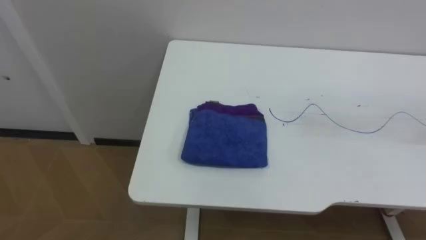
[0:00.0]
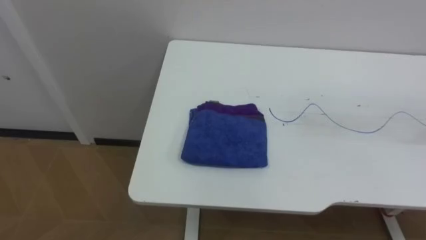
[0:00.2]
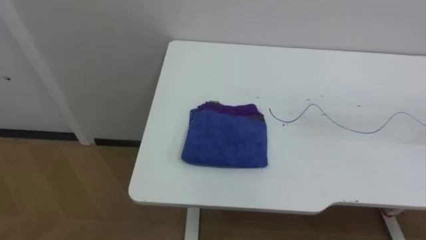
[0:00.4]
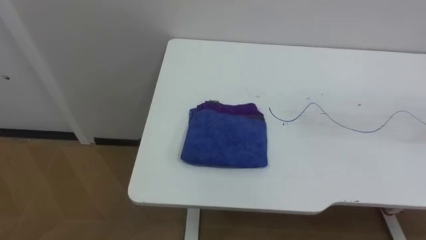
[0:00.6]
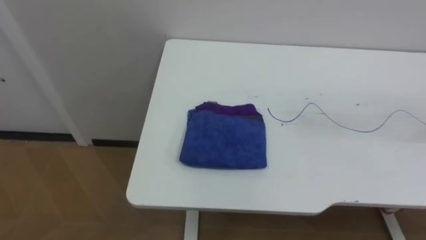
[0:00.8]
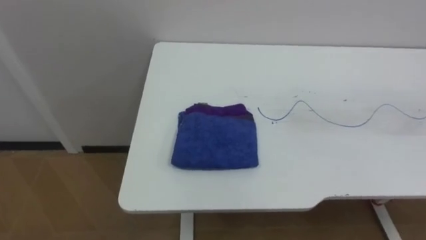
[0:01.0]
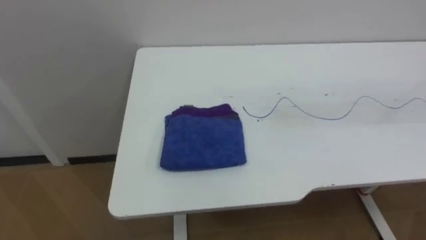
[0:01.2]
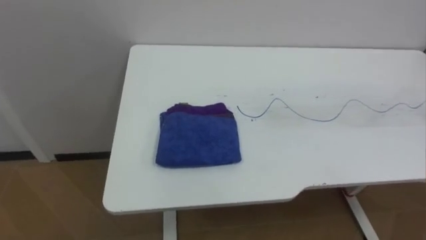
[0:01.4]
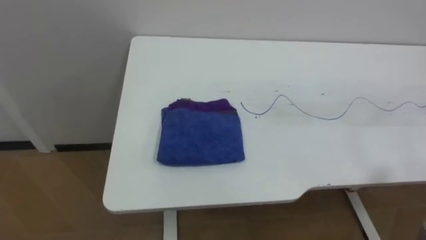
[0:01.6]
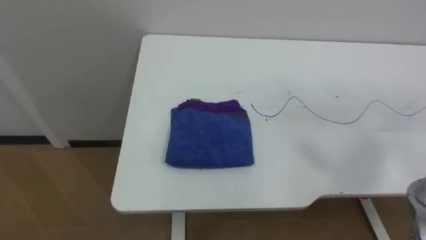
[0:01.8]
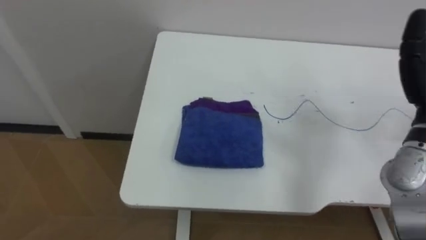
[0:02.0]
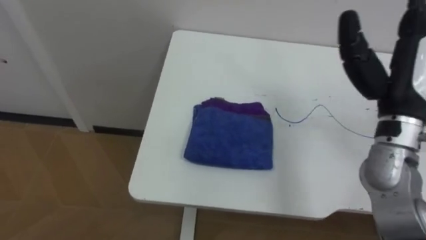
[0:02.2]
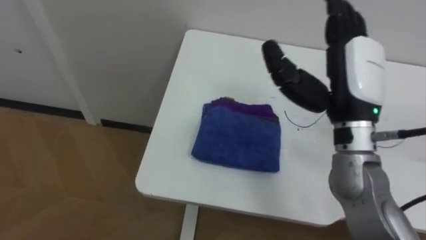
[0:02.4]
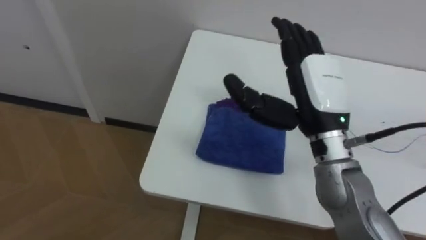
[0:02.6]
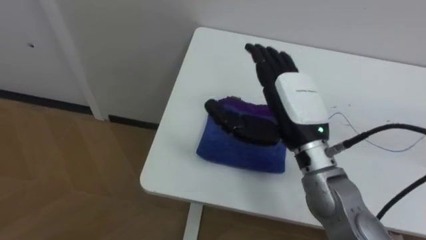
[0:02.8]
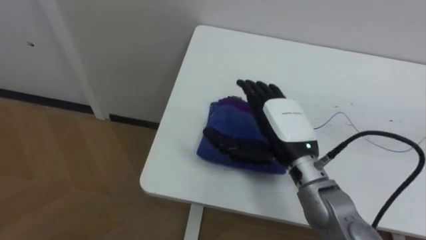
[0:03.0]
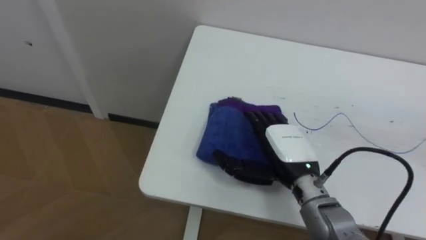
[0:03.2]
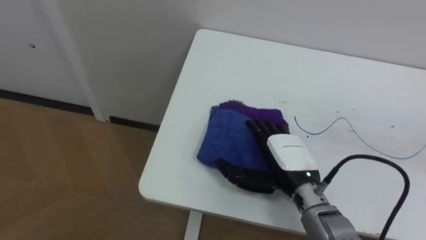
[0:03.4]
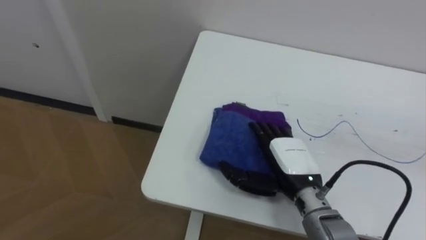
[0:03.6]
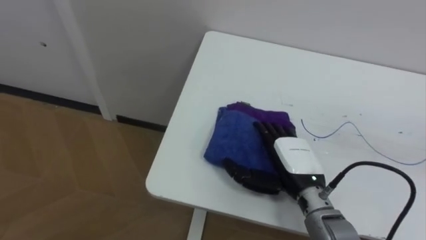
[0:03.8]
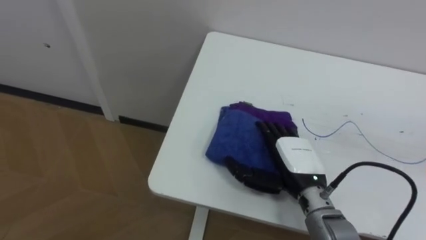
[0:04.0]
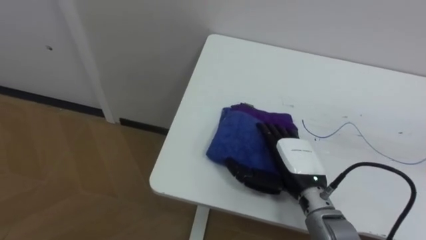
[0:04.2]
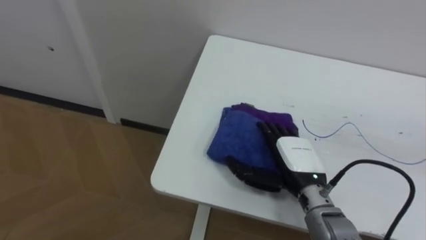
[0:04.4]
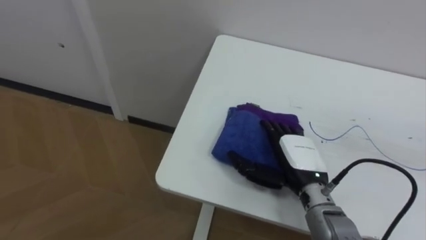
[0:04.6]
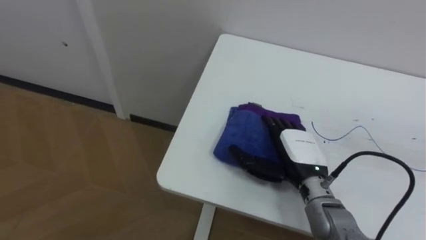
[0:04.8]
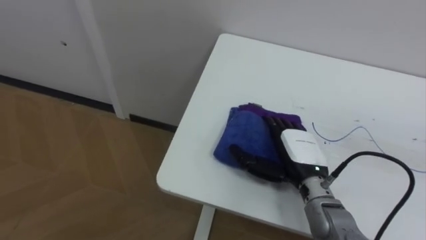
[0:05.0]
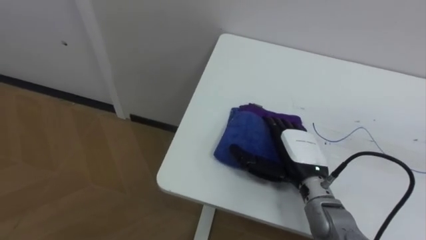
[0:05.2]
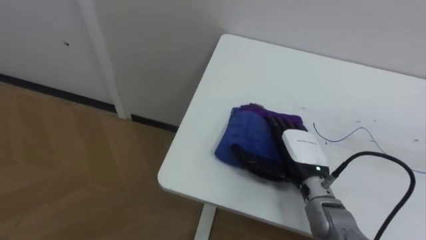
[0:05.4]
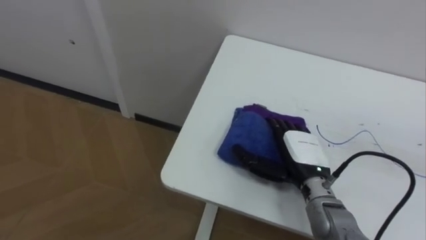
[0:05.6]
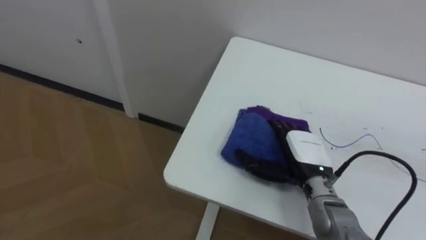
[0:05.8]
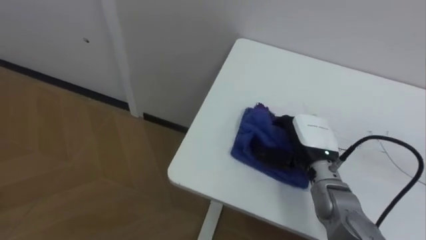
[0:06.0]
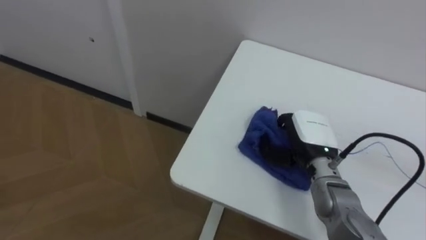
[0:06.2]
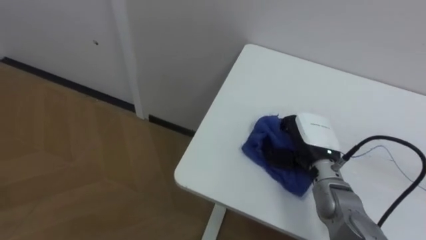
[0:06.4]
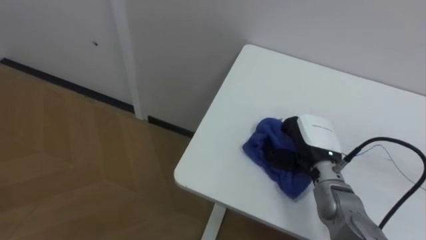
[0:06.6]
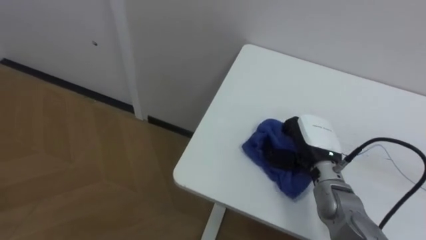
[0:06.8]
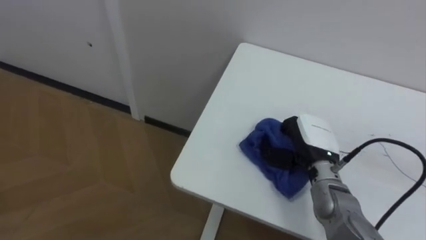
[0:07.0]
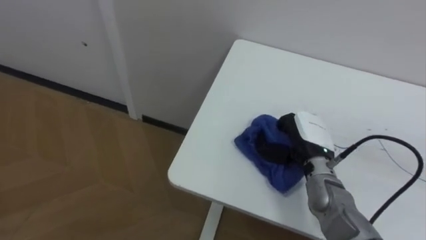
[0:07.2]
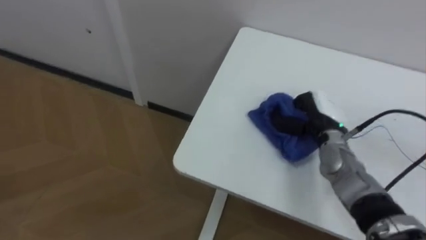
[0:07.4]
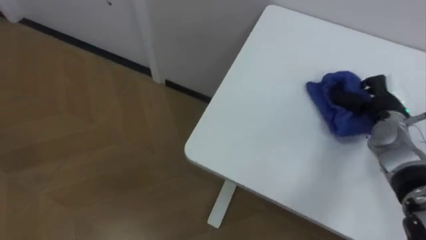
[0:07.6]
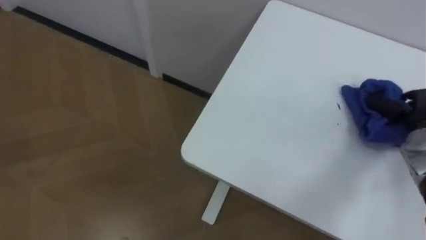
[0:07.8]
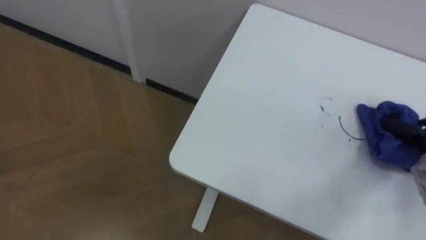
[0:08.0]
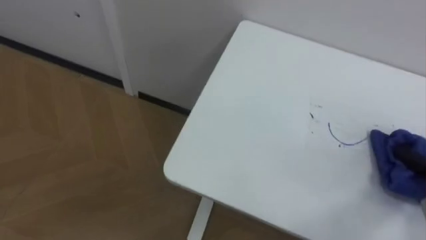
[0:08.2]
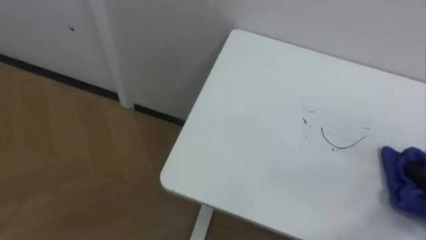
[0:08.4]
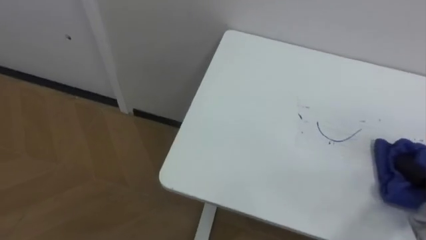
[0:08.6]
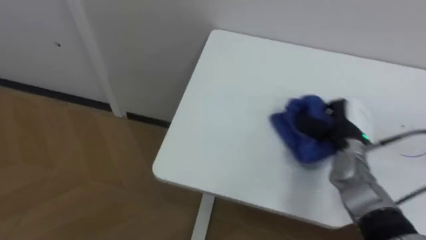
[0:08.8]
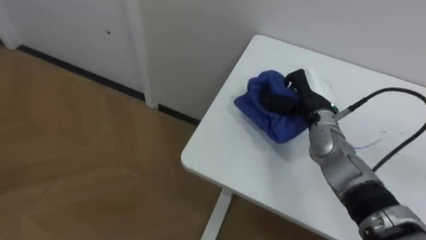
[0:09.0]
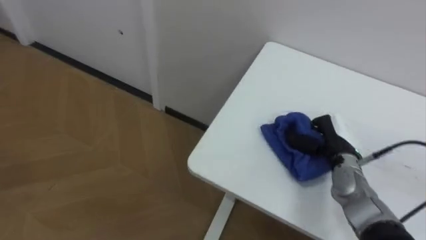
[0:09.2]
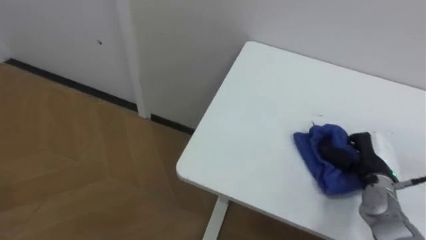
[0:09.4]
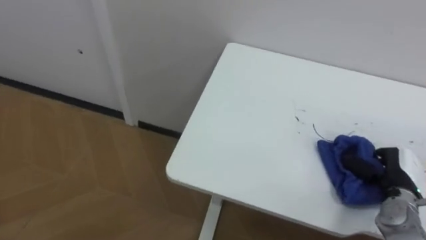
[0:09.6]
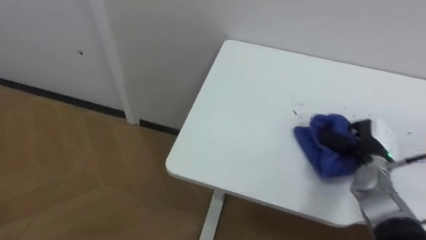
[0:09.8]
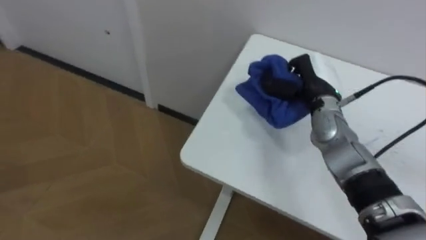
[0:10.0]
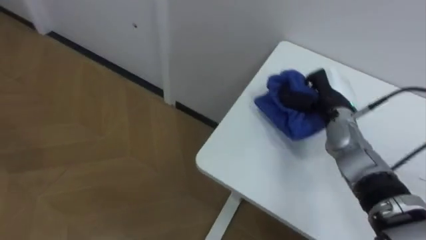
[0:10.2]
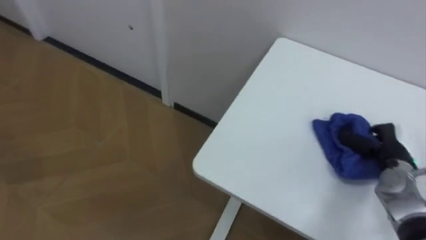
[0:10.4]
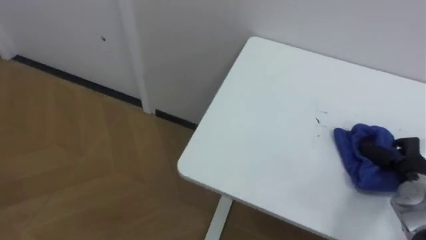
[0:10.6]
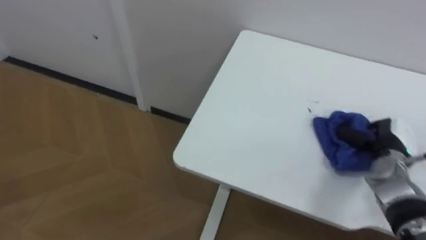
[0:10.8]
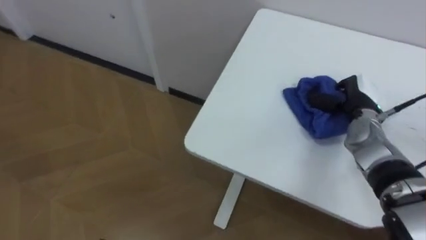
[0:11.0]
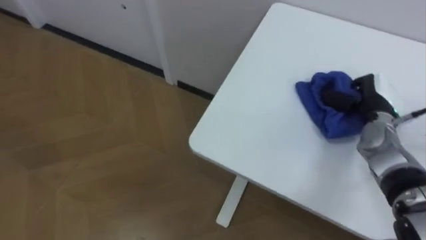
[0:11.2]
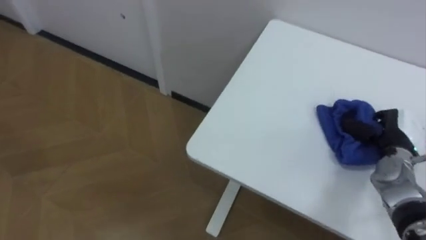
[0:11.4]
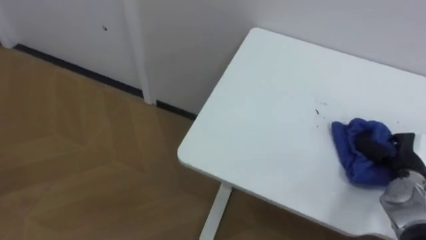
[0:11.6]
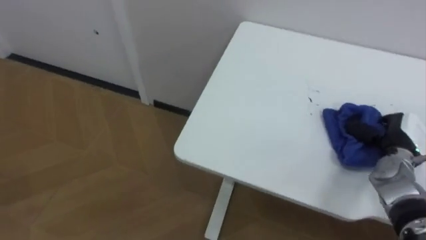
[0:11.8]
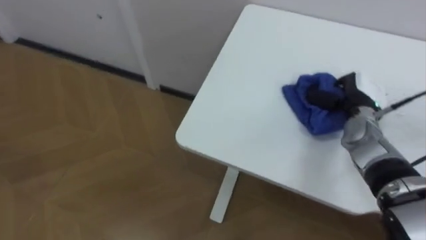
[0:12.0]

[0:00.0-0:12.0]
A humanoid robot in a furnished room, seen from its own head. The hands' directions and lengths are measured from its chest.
Task of the whole recording: Wipe the blue pen marks off the table with the rag.
0:03.0 to 0:04.4: The right hand travels downward by approximately 10 cm.
0:04.4 to 0:06.0: The right hand closes up.
0:06.0 to 0:07.6: The right hand is displaced to the right and forward by about 15 cm, and closes up.
0:09.0 to 0:10.4: The right hand moves left and right over approximately 15 cm, changing direction 2 times.
0:10.4 to 0:12.0: The right hand goes forward and backward, approximately 10 cm each way, reversing 2 times.

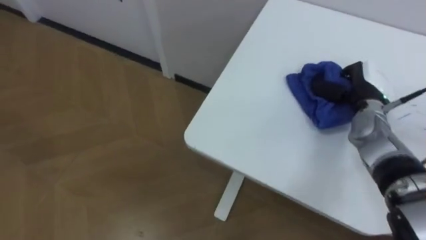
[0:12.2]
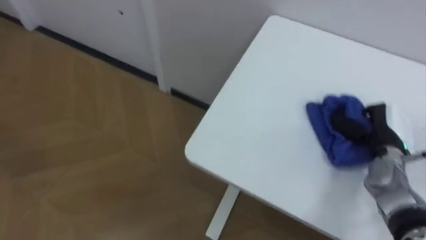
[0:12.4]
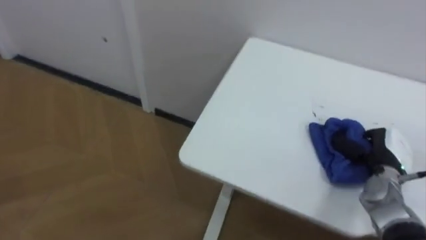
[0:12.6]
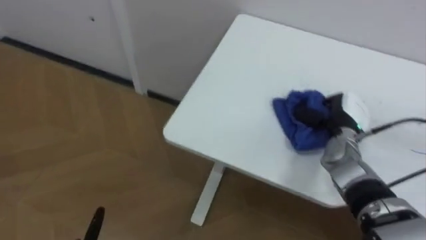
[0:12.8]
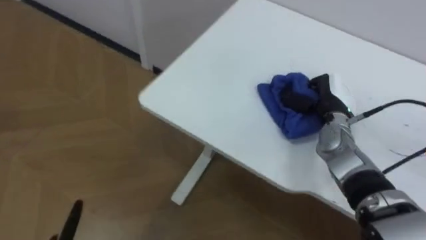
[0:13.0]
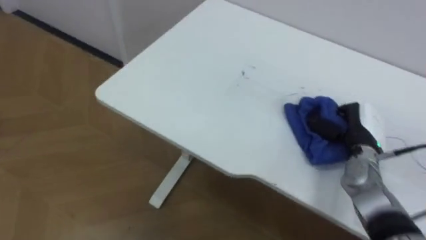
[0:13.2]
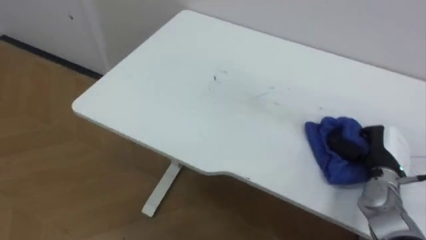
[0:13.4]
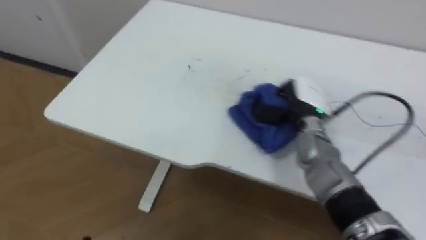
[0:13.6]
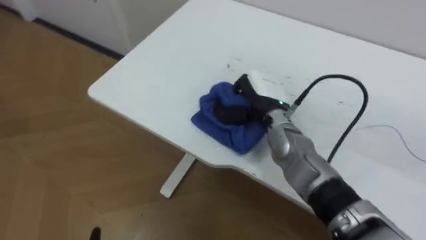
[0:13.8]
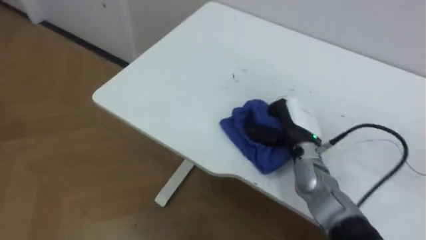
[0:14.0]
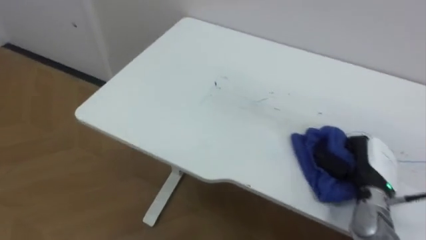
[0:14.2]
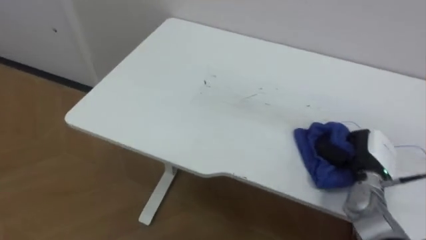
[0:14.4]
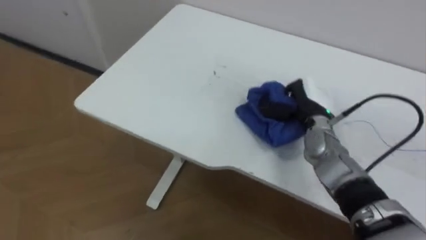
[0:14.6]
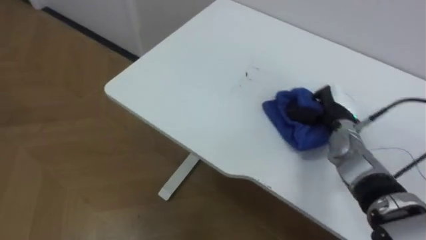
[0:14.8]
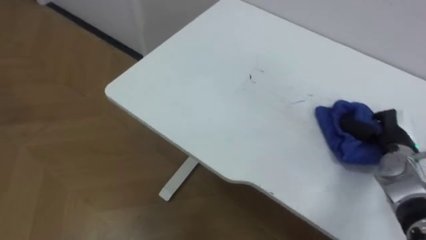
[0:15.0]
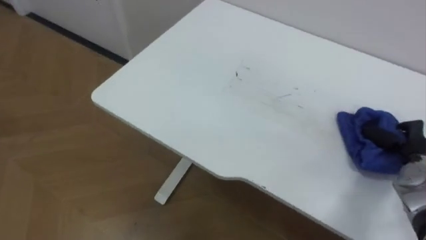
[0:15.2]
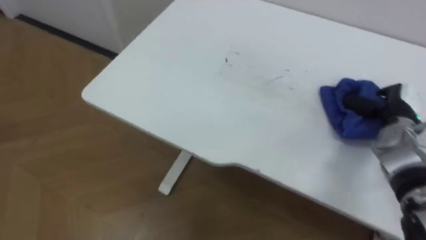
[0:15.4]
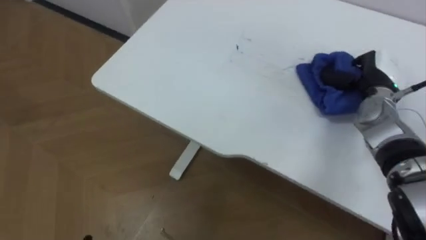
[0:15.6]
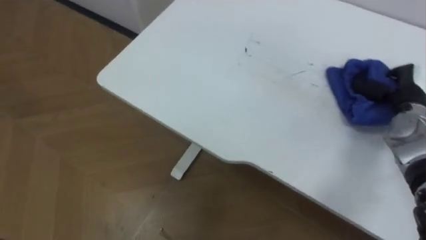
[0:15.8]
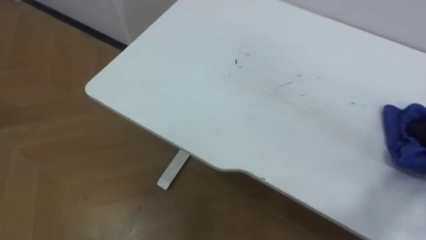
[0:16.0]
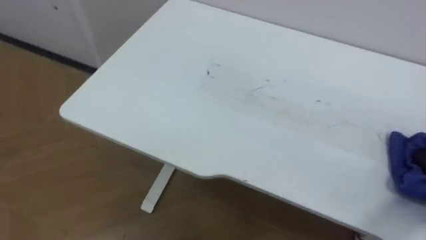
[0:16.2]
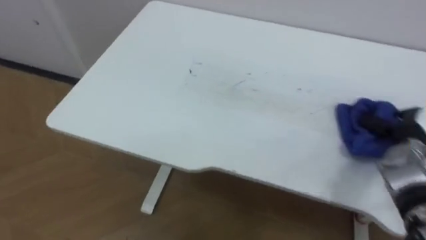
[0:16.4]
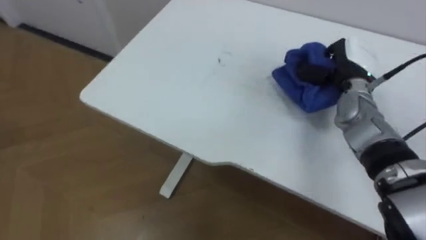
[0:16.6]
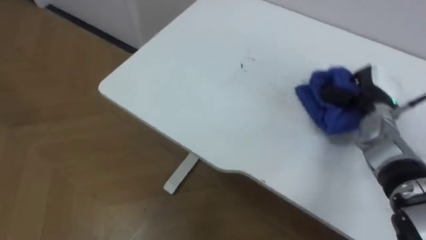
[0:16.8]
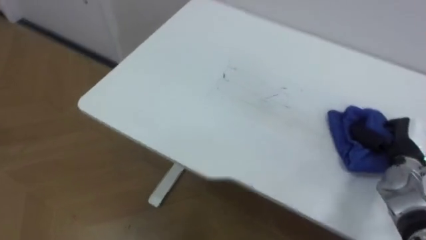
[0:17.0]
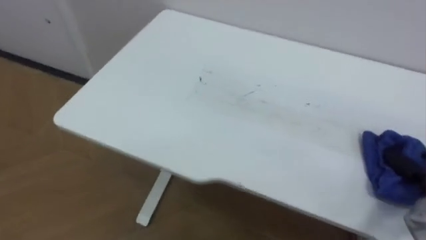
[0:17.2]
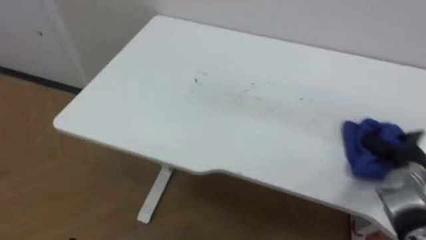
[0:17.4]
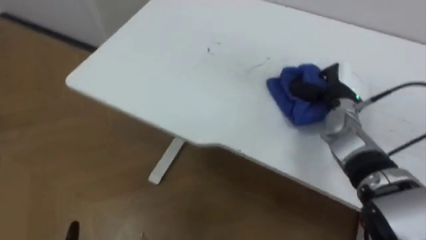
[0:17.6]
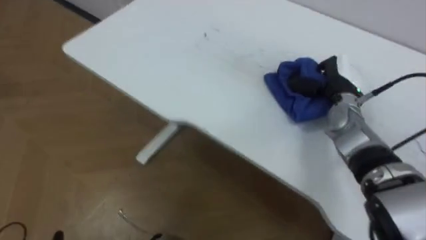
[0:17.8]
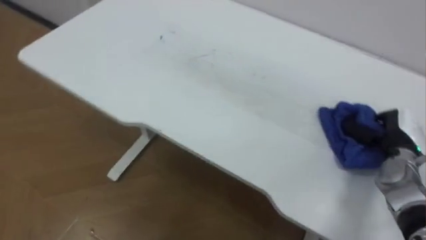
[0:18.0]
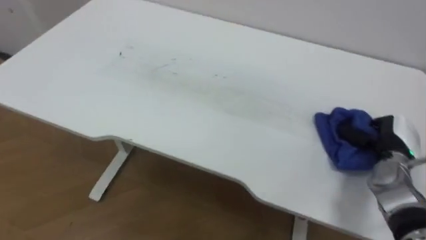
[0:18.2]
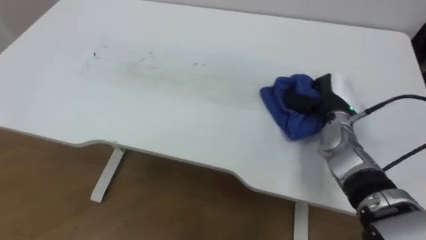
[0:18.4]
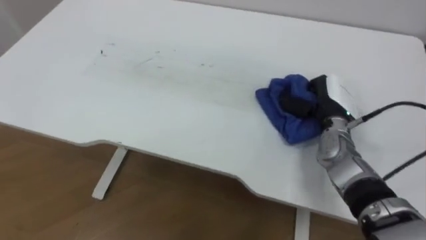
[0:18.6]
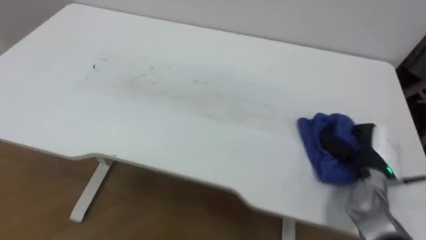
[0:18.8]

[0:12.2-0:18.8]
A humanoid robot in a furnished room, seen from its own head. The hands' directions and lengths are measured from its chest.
Task of the whole recording: Wipe the blue pen marks off the table with the rag.
0:12.2 to 0:13.8: The right hand goes left and right, some 25 cm each way, reversing 3 times.
0:13.8 to 0:15.4: The right hand goes left and right, some 30 cm each way, reversing 3 times.
